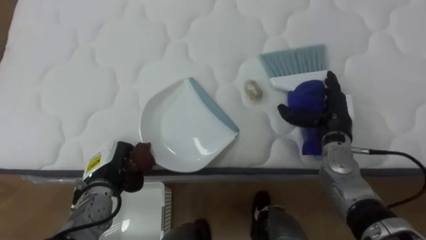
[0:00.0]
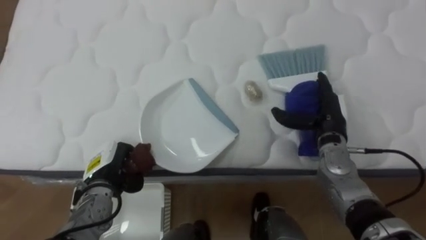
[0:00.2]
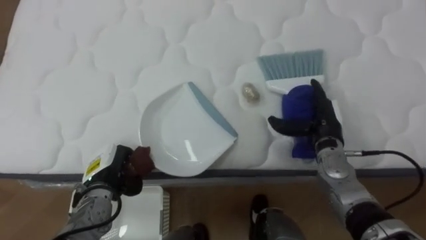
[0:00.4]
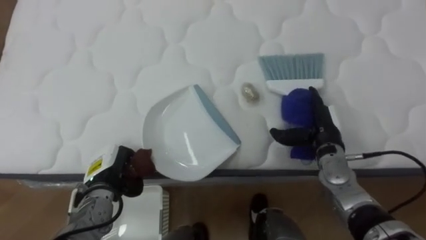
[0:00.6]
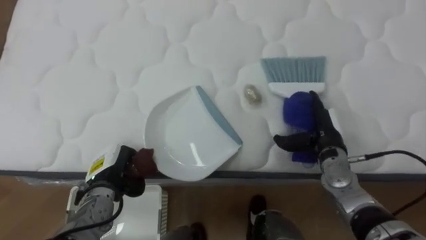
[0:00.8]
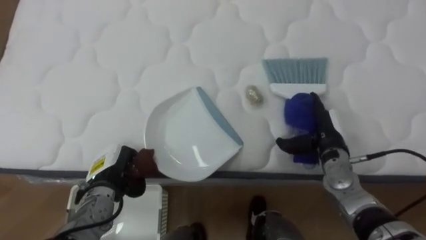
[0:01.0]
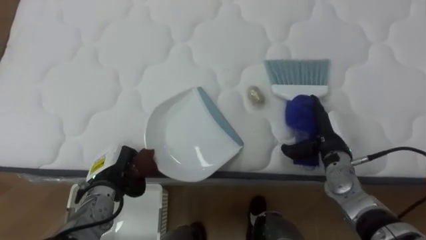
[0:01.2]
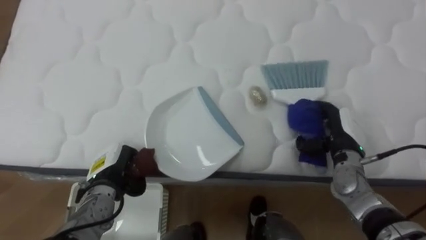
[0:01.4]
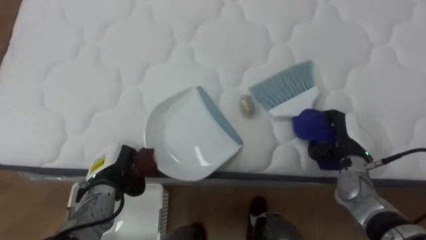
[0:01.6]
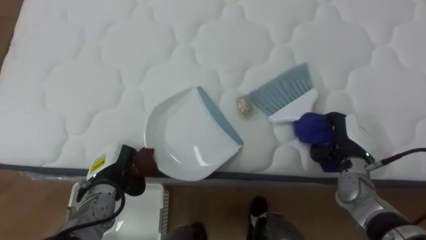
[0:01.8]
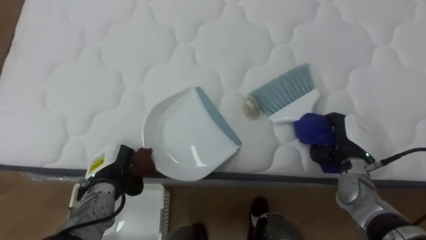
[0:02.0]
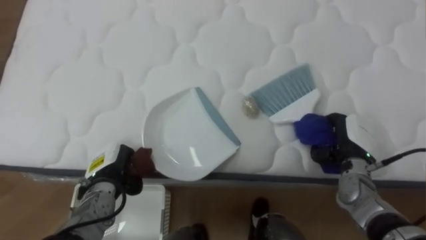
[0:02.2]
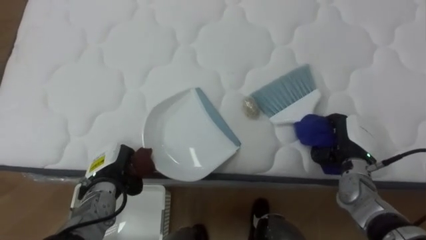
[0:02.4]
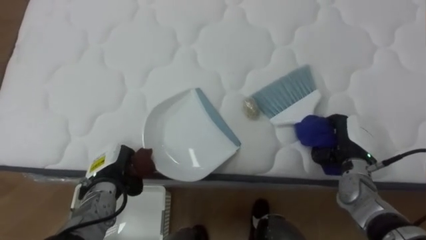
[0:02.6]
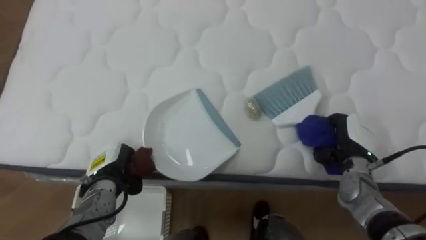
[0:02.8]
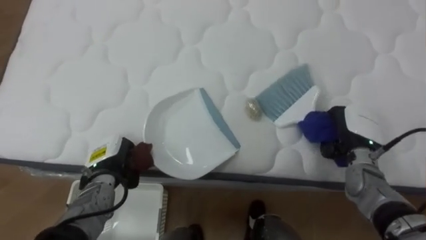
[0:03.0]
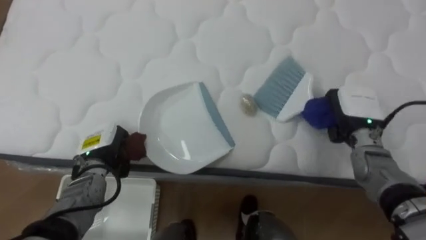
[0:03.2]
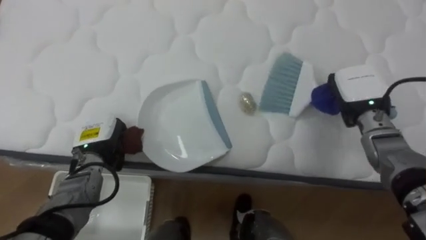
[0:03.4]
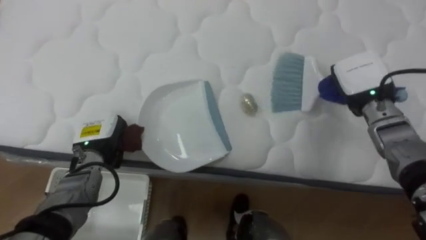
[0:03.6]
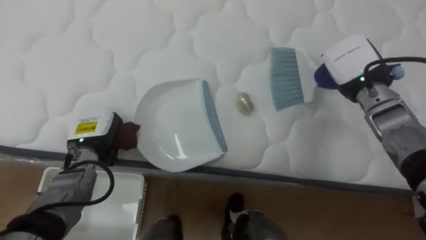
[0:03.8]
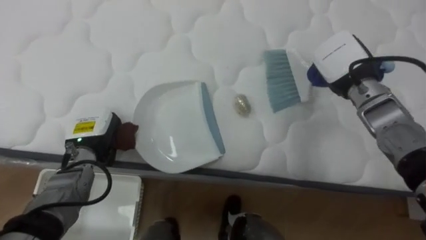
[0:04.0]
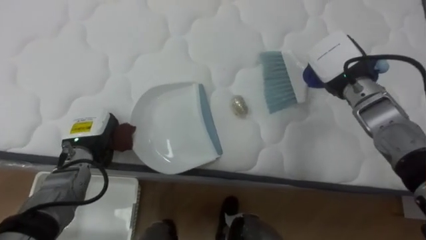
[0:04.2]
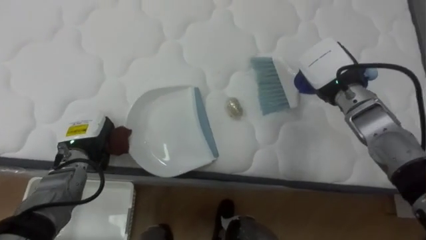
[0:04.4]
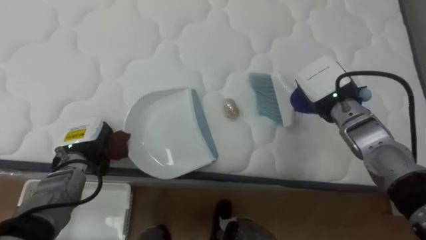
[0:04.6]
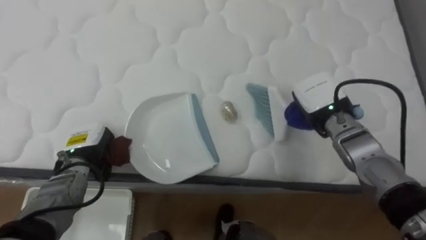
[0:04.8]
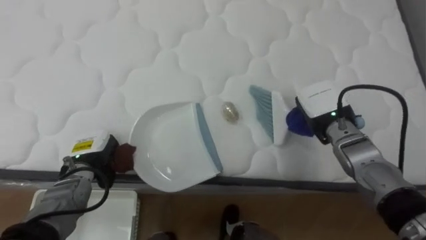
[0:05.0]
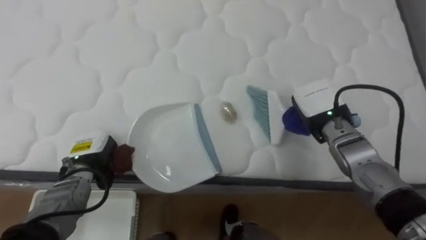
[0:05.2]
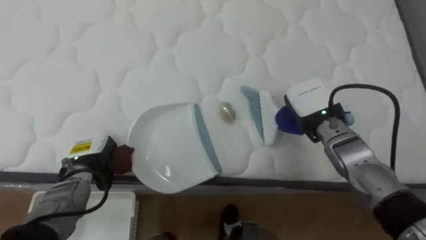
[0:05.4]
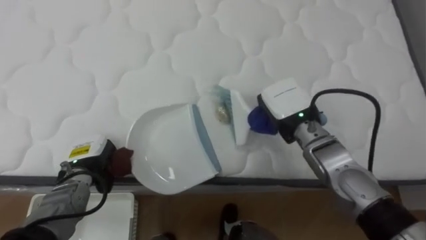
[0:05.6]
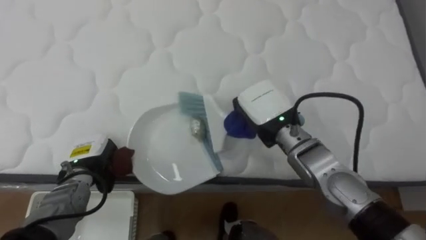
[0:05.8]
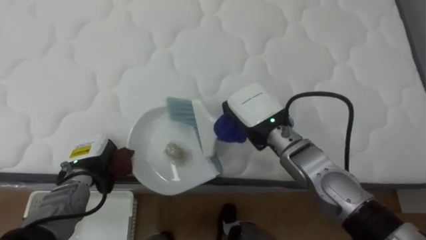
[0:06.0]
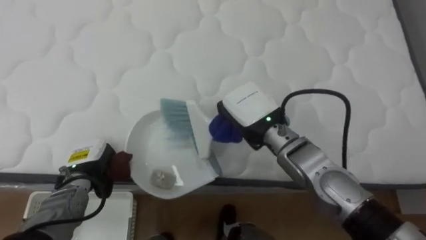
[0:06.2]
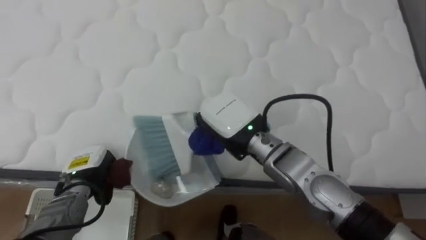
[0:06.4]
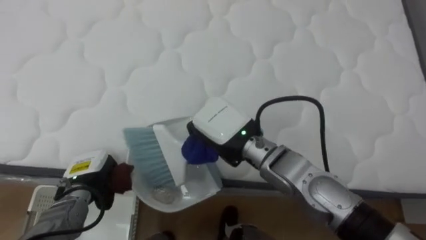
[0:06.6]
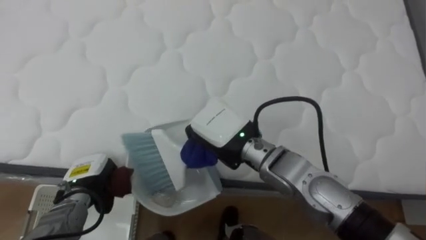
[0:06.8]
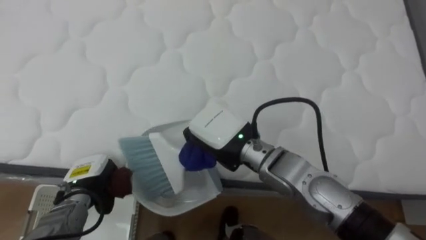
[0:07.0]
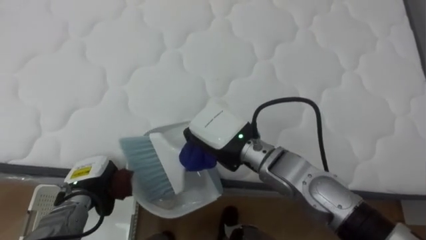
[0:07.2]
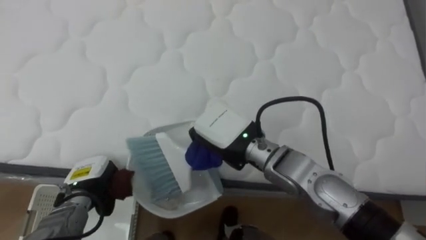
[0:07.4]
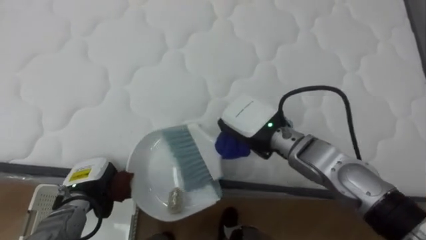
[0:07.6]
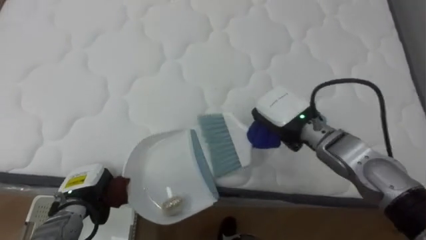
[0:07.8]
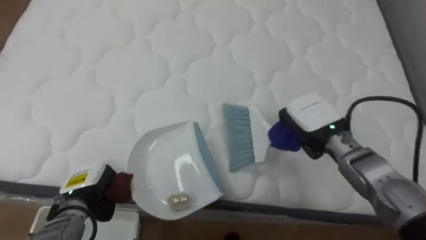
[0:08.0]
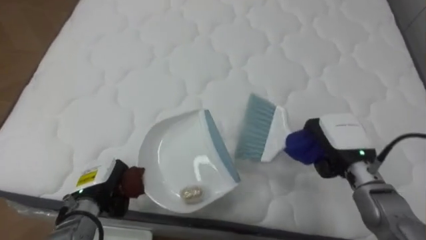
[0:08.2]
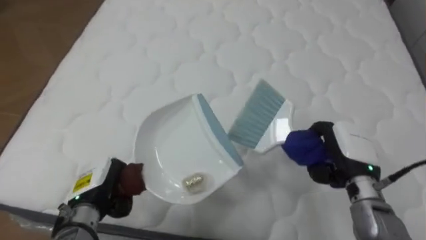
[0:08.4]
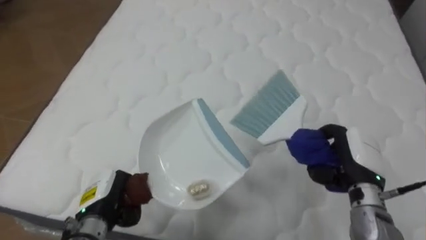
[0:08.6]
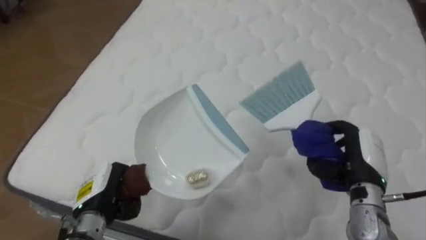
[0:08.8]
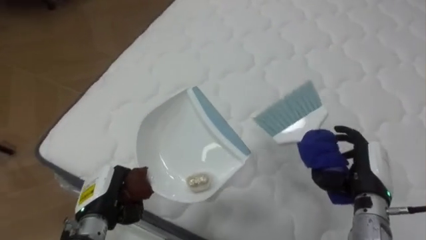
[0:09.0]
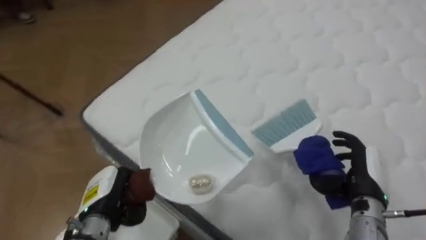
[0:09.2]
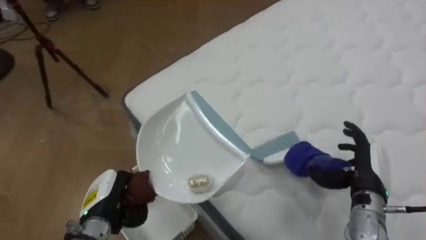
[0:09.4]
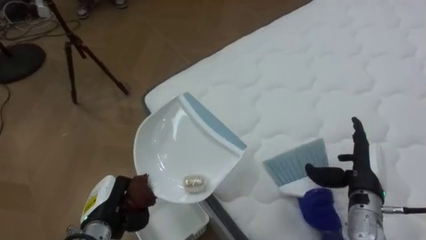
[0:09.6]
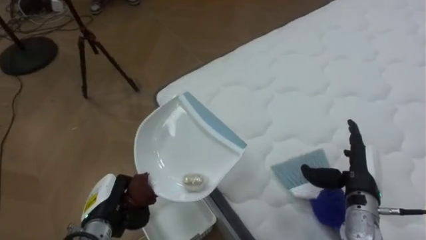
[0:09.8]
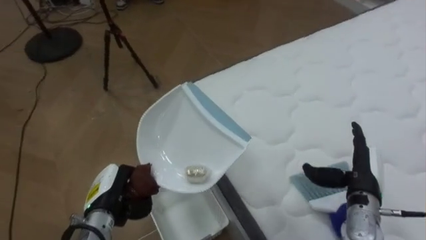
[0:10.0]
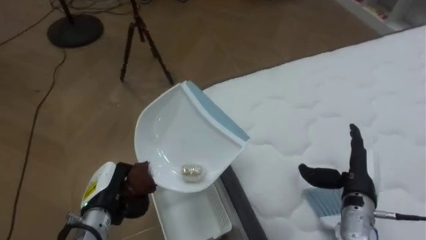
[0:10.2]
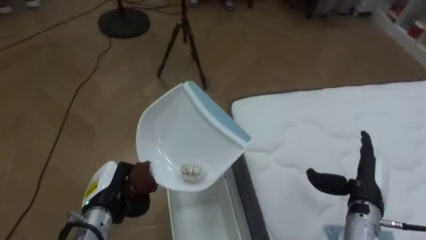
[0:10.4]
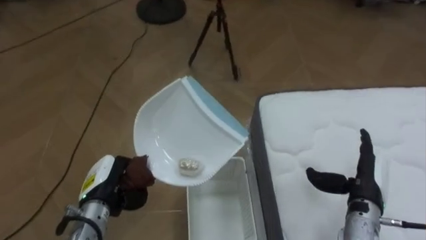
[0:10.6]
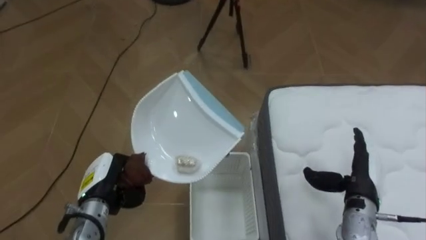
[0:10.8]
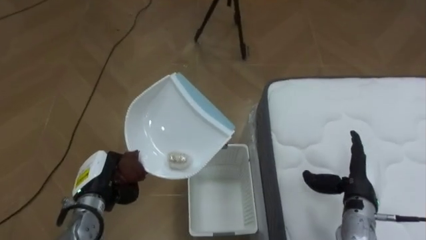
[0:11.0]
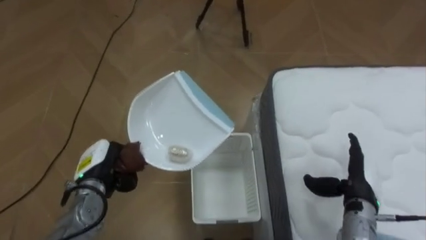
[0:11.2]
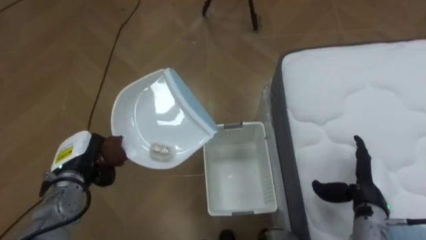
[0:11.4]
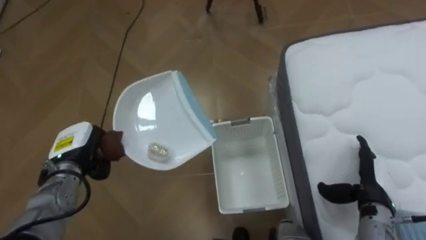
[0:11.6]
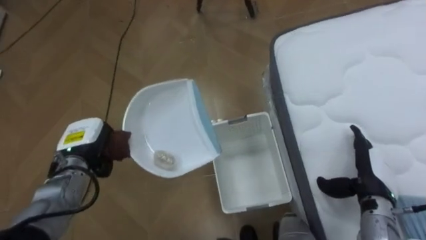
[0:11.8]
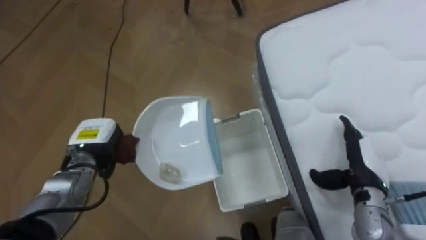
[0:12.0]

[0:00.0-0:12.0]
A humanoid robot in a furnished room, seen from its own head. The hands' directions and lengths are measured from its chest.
Task of the whole recording: Pick up the brush on your right and the dustpan on your left. Use the brush to sweep the crumpled paper on the bed into the dustpan, then turn left and empty it into the basket.
0:00.0 to 0:01.6: The right hand ends up some 5 cm from where it was, and closes its fingers.
0:03.0 to 0:04.4: The left hand shifts about 5 cm upward, while the right hand heads upward, to the left and forward, covering some 15 cm.
0:04.4 to 0:06.0: The right hand shifts roughly 15 cm to the left and backward.
0:07.6 to 0:09.0: The robot faces about 20 degrees further to its left. The left hand changes place by about 5 cm. Meanwhile the right hand travels to the right by some 25 cm.
0:09.0 to 0:10.4: The robot faces roughly 60 degrees further to its left. The right hand opens its fingers.
0:10.4 to 0:12.0: The left hand moves forward, approximately 10 cm.

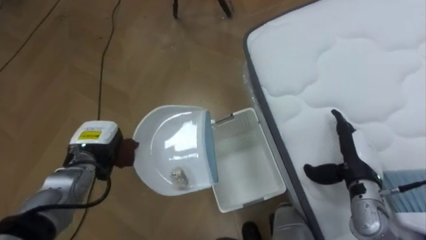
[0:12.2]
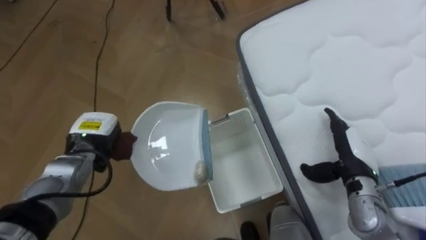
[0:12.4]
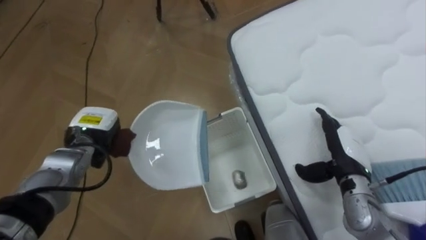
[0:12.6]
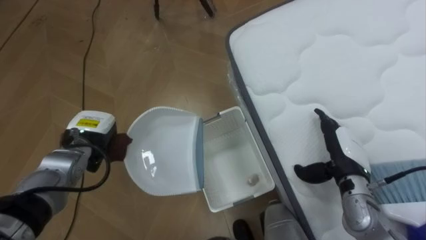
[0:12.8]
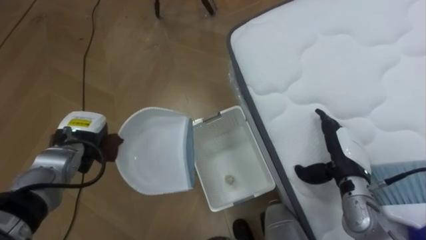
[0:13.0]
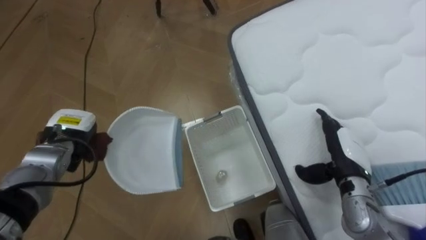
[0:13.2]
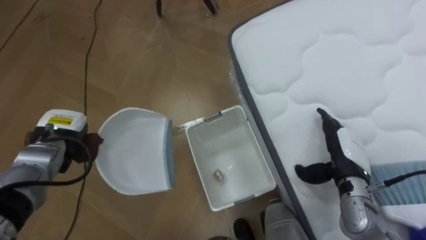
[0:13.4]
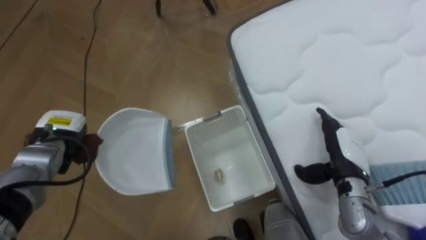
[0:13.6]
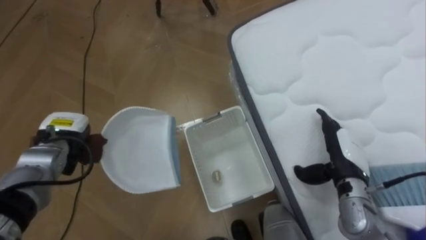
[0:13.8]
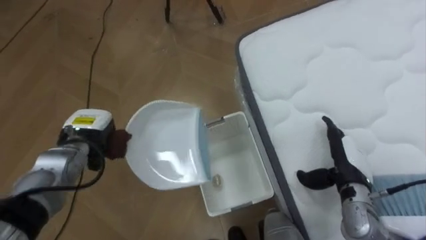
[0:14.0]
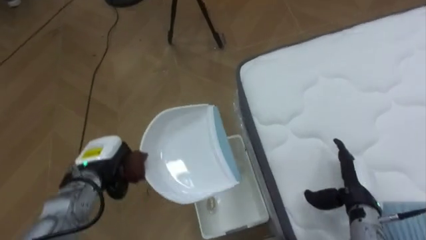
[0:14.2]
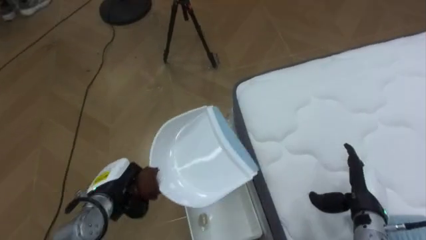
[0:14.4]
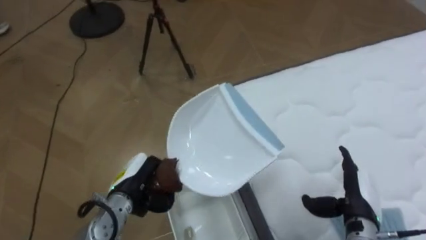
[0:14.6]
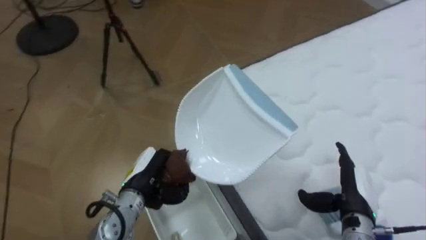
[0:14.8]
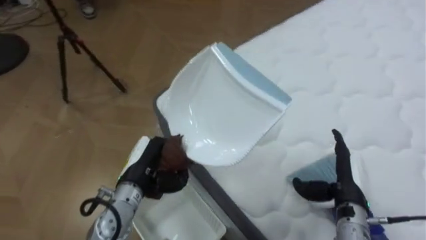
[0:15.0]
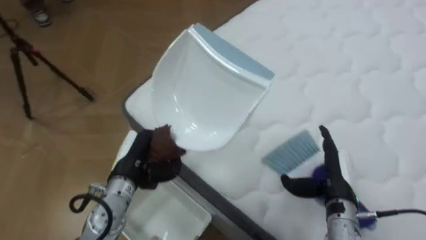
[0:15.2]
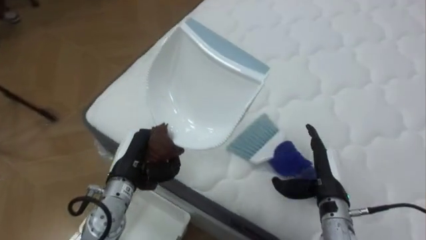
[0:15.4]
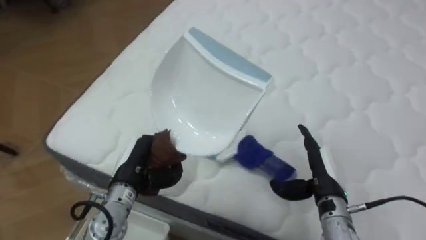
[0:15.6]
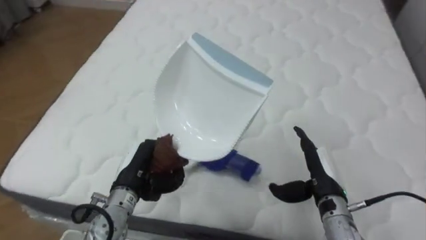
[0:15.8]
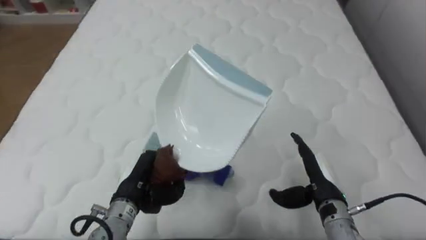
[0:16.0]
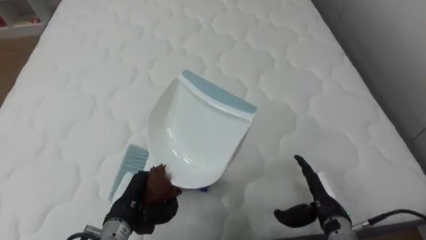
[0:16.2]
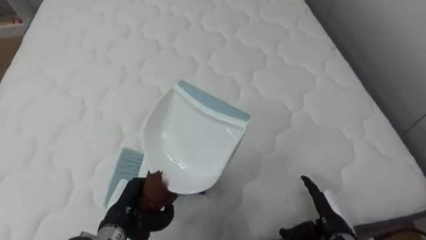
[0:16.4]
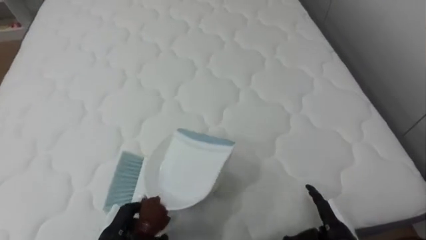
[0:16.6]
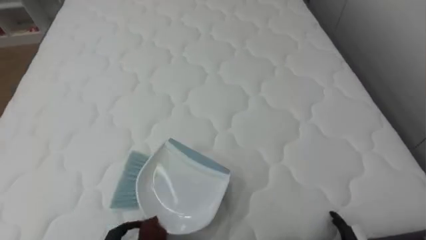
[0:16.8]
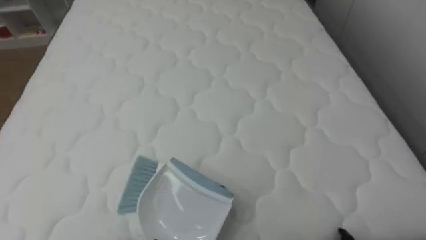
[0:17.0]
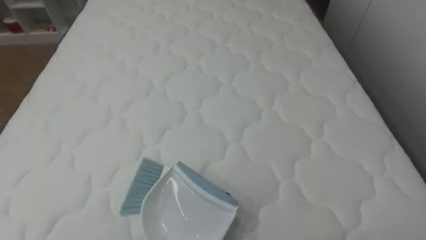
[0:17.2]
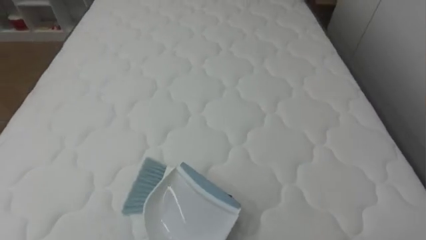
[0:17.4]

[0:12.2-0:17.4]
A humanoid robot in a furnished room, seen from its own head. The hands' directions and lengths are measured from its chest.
Task of the whole recording: Pick up the brush on your right and the dustpan on your left. Use the brush to sweep the crumpled paper on the bed into the dustpan, then turn left and empty it into the basket.
0:14.0 to 0:15.6: The robot rotates about 70 degrees to its right. The left hand shifts approximately 10 cm to the right and backward. The right hand changes place by some 5 cm.
0:15.6 to 0:17.4: The robot faces roughly 25 degrees further to its right.
